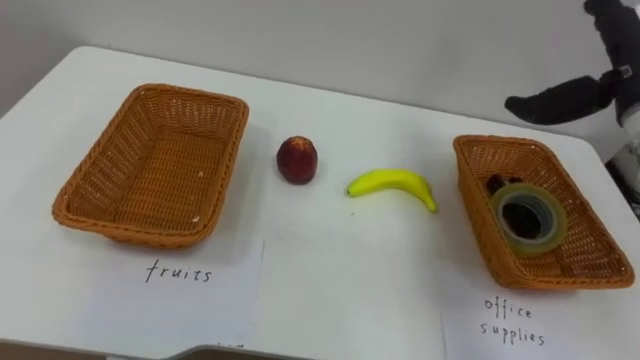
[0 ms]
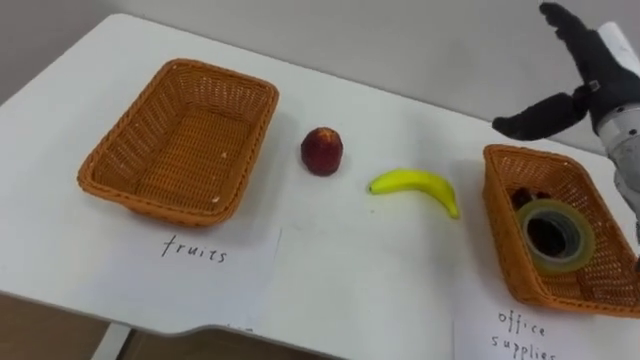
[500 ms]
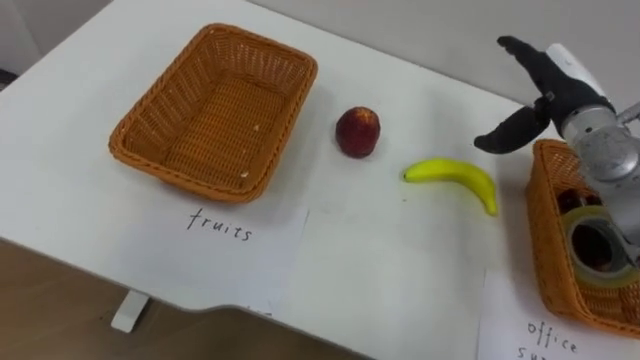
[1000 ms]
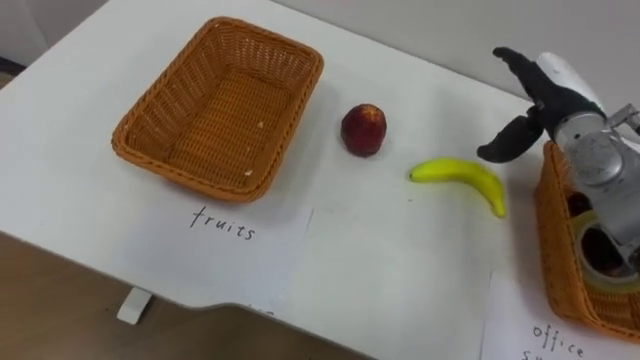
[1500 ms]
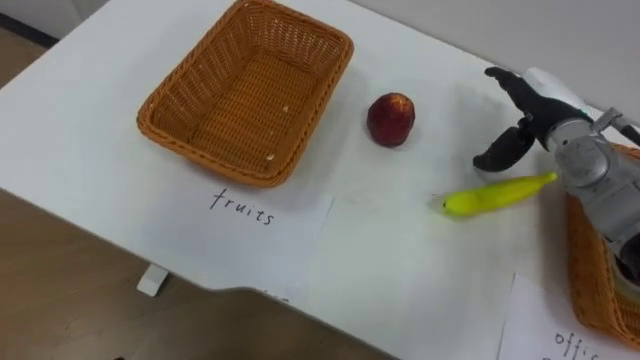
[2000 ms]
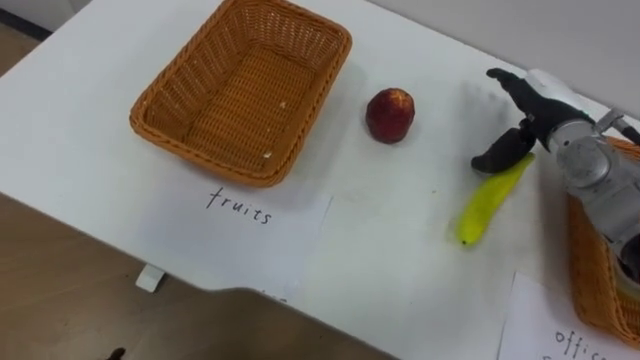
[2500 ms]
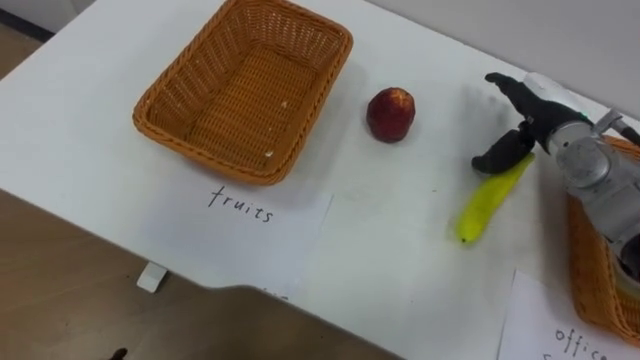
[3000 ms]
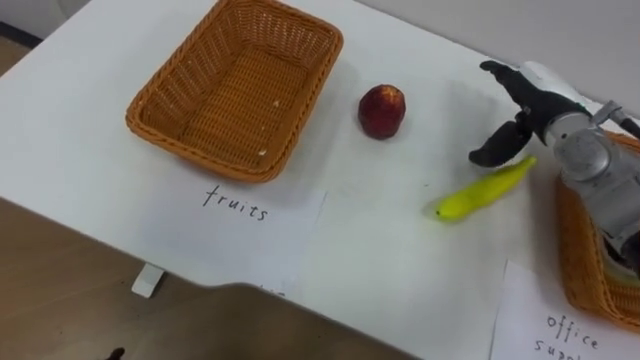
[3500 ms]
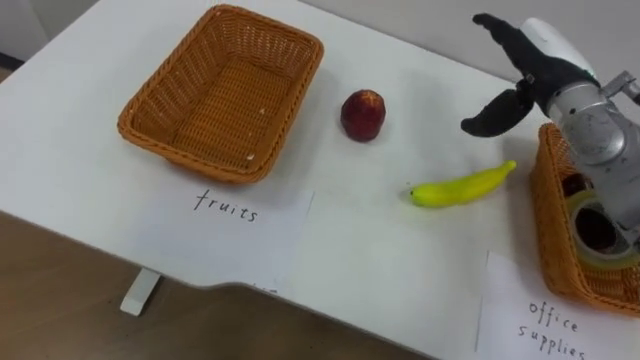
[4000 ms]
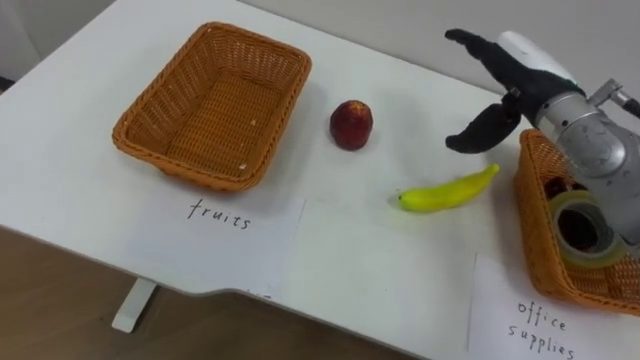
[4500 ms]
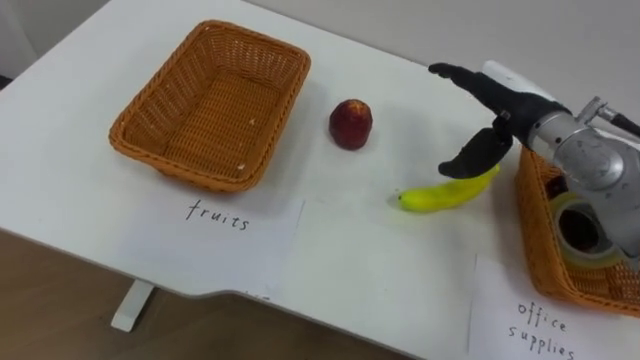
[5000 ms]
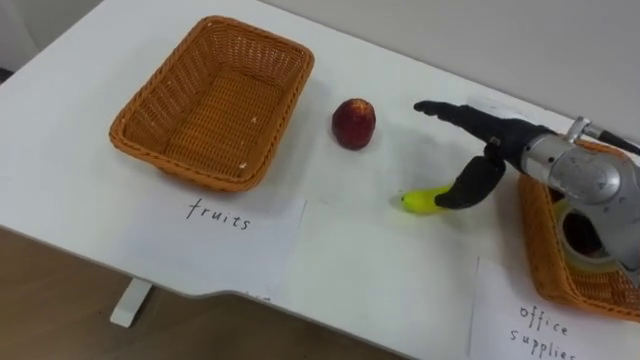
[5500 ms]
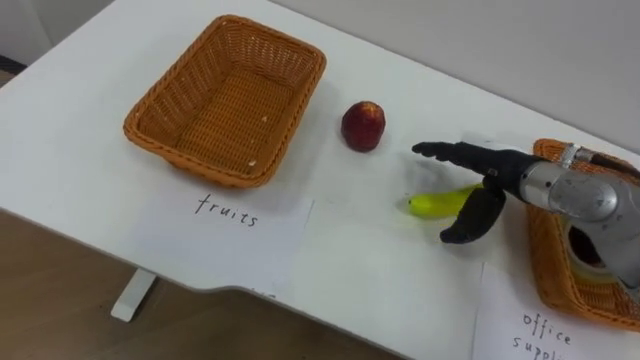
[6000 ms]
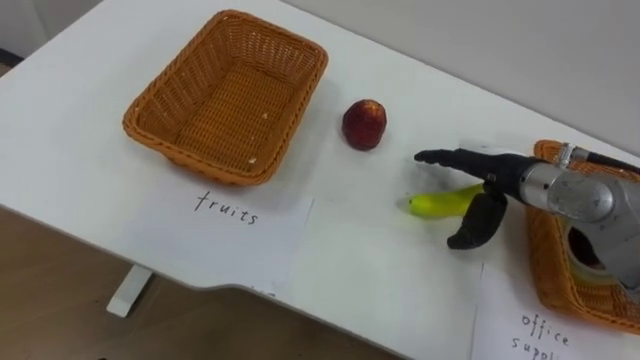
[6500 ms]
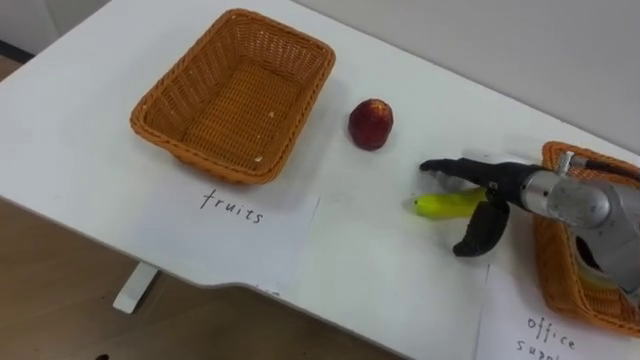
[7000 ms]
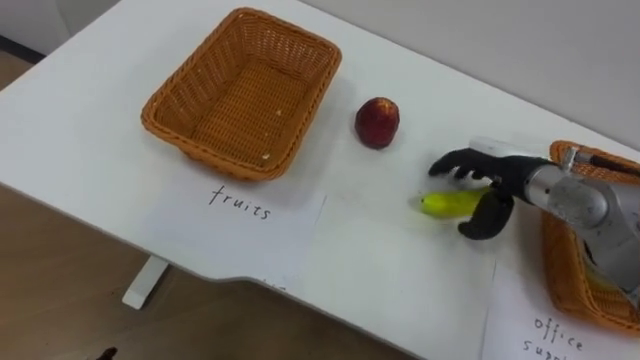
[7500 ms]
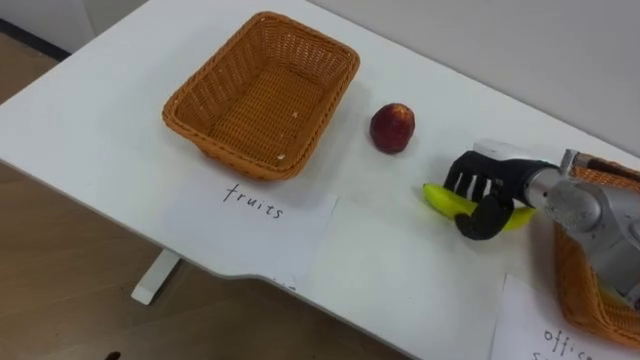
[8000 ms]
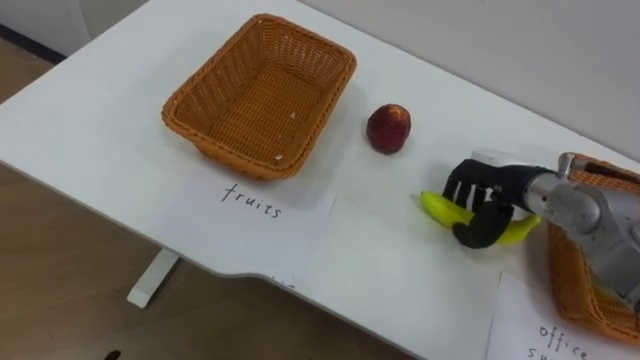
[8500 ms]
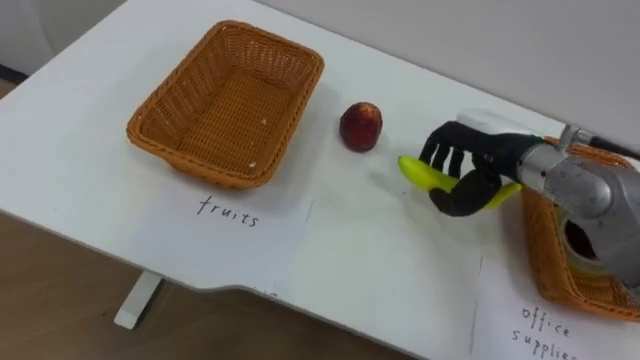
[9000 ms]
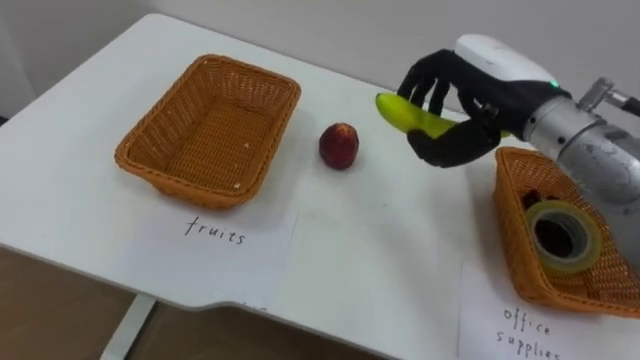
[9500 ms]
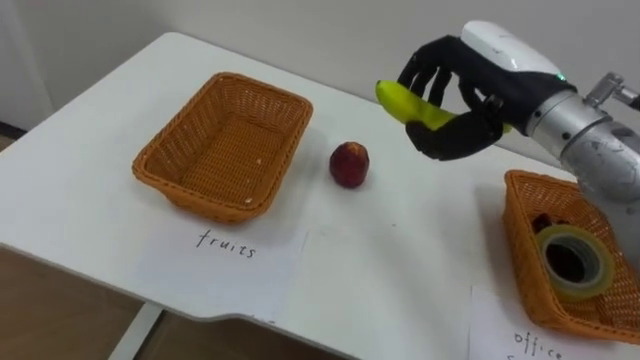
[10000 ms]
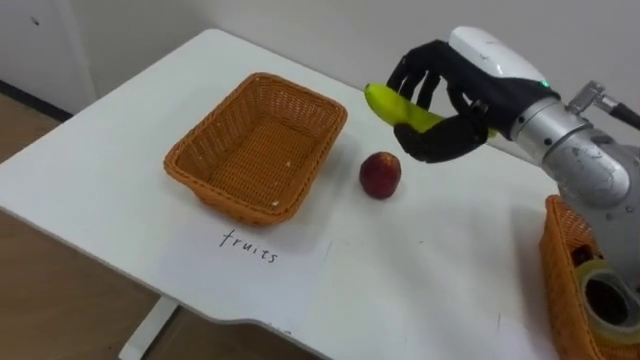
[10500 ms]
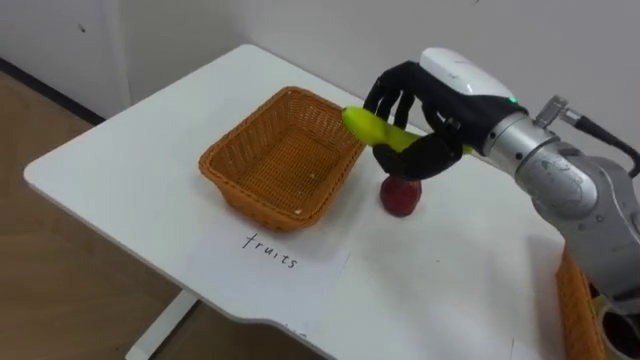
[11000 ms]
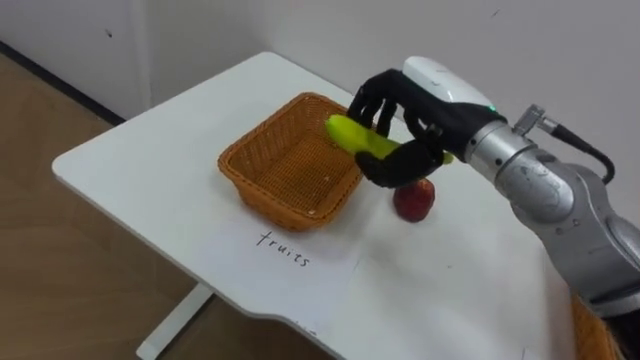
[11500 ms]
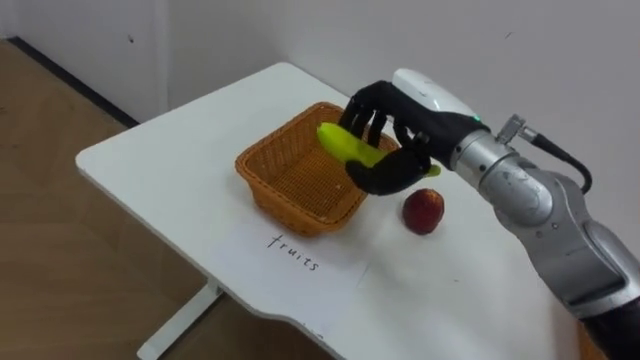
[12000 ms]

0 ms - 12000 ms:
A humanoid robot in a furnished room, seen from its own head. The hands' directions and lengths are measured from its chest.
Task of the whole recording: Separate the items on the table and place them into the two baskets.
0 ms - 2000 ms: The right hand moves downward, about 10 cm.
2000 ms - 4000 ms: The right hand heads upward, covering approximately 5 cm.
4000 ms - 6000 ms: The right hand travels downward and backward by approximately 10 cm.
6000 ms - 8000 ms: The right hand closes its fingers.
8000 ms - 10000 ms: The right hand heads upward, covering approximately 15 cm.
10000 ms - 12000 ms: The right hand heads to the left, covering approximately 5 cm.

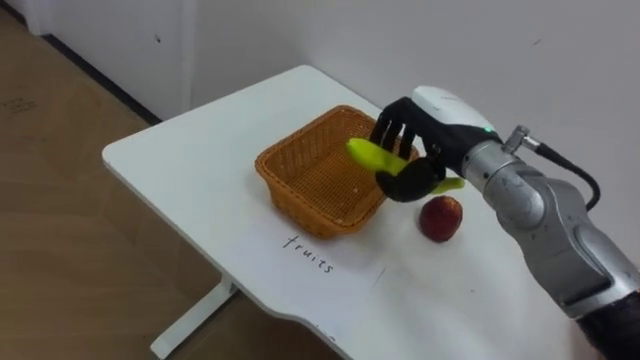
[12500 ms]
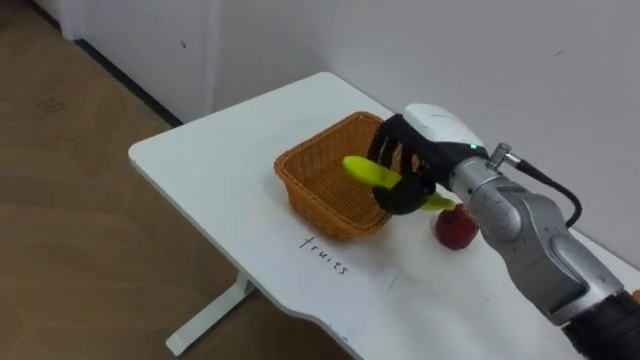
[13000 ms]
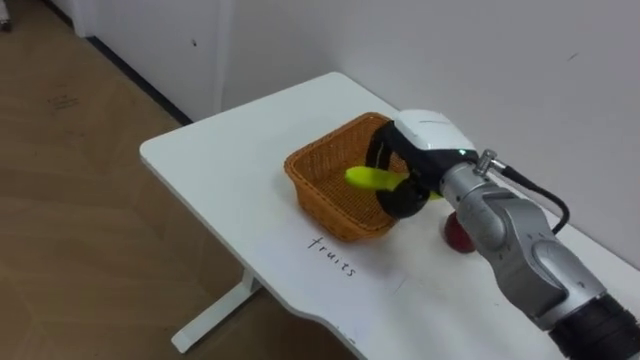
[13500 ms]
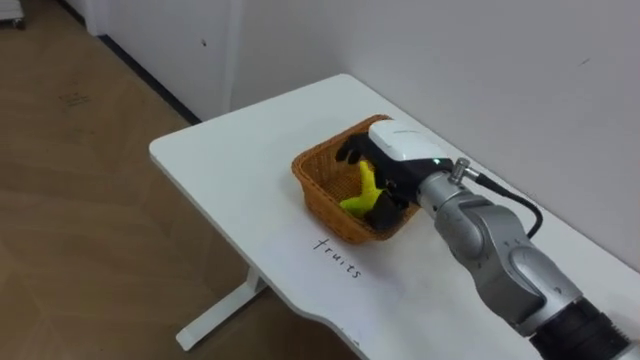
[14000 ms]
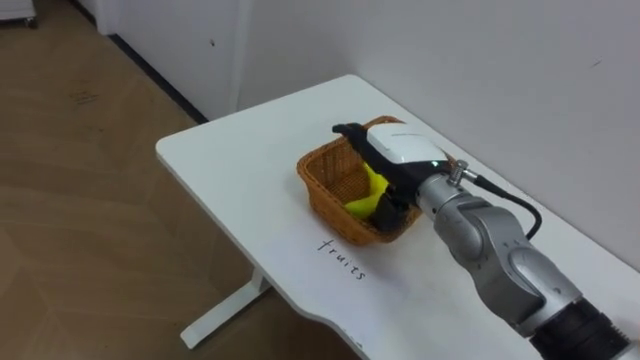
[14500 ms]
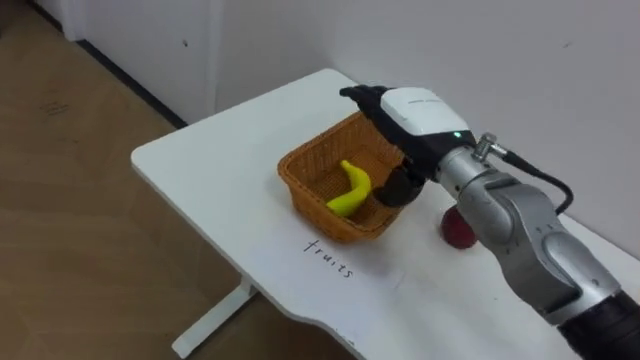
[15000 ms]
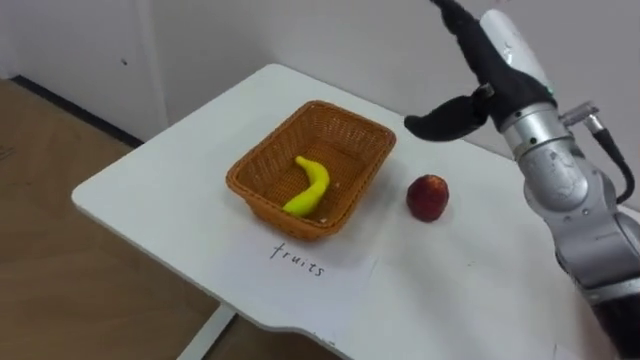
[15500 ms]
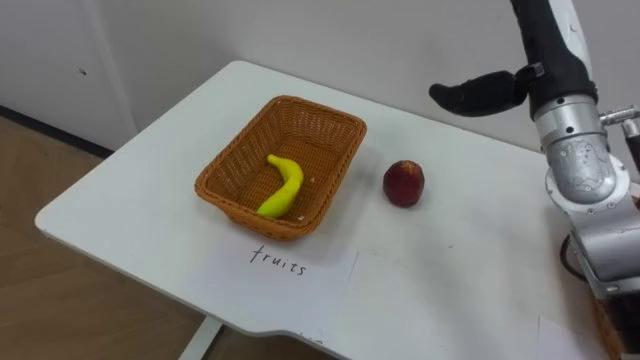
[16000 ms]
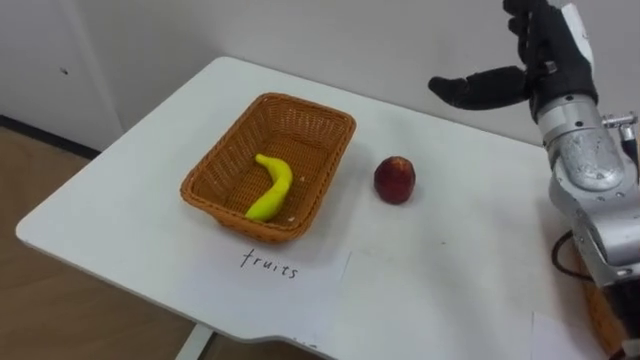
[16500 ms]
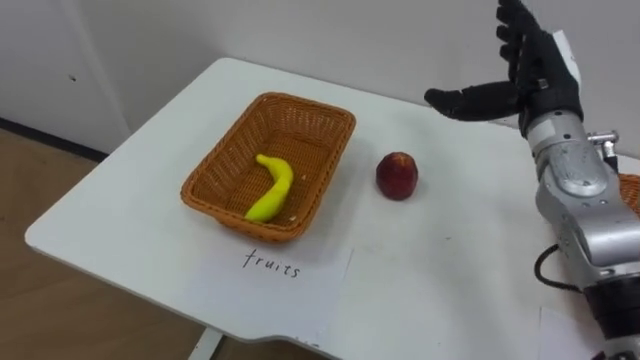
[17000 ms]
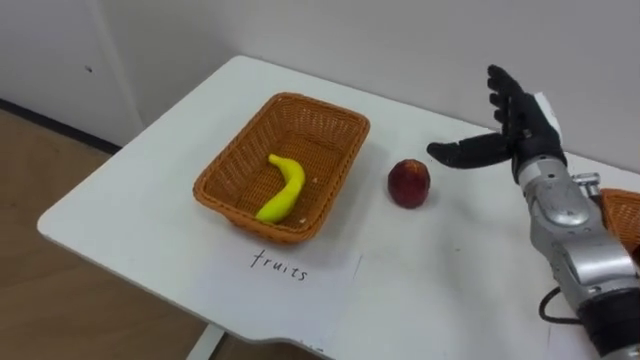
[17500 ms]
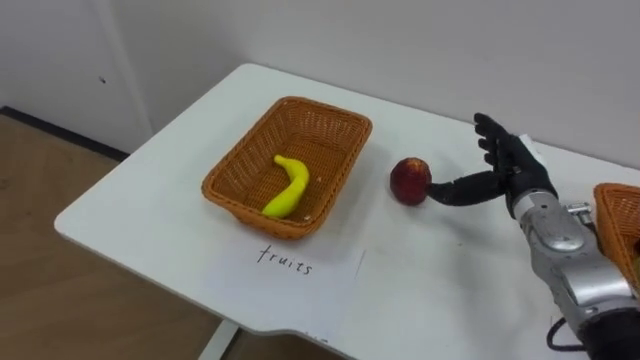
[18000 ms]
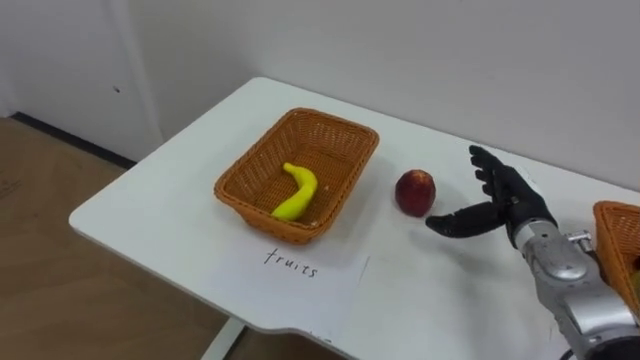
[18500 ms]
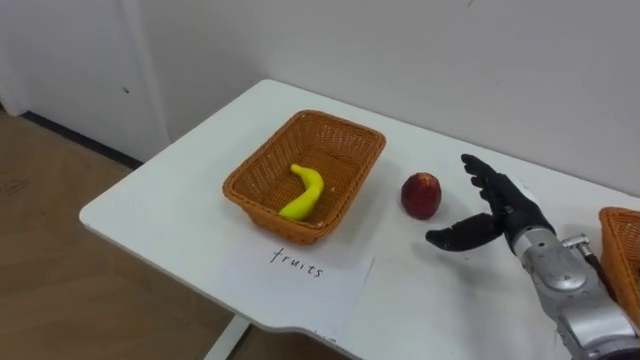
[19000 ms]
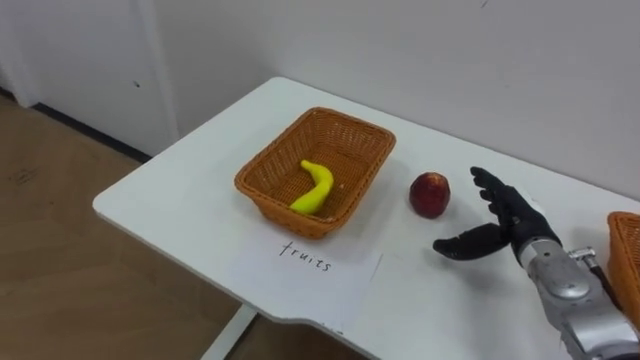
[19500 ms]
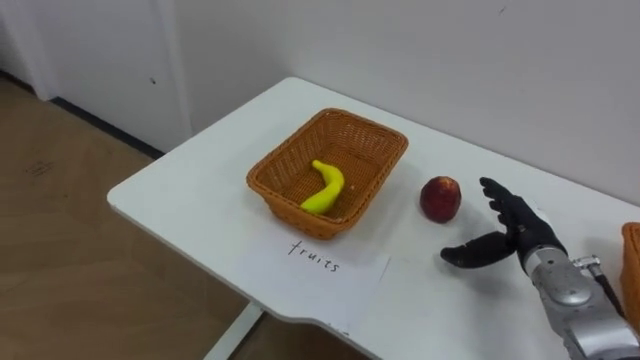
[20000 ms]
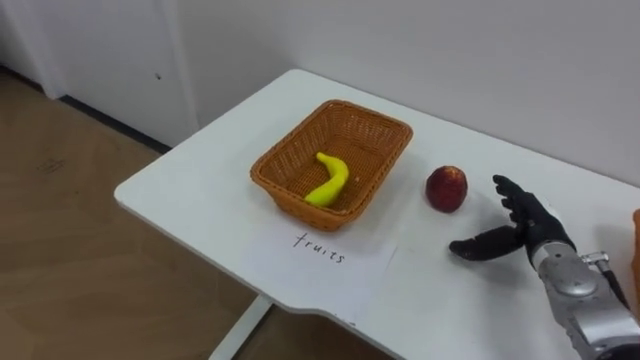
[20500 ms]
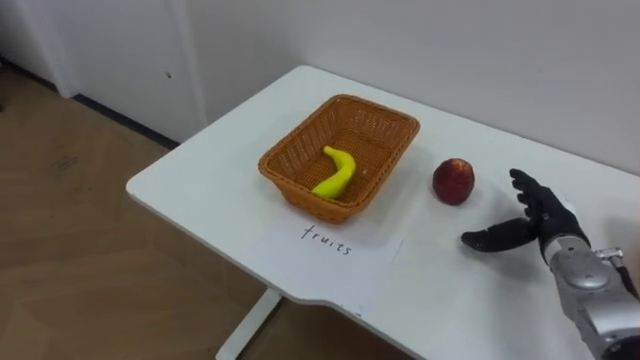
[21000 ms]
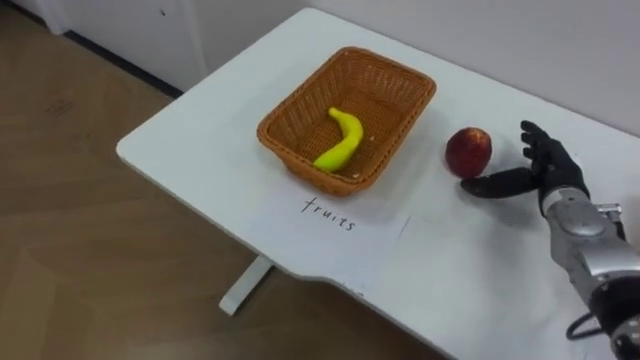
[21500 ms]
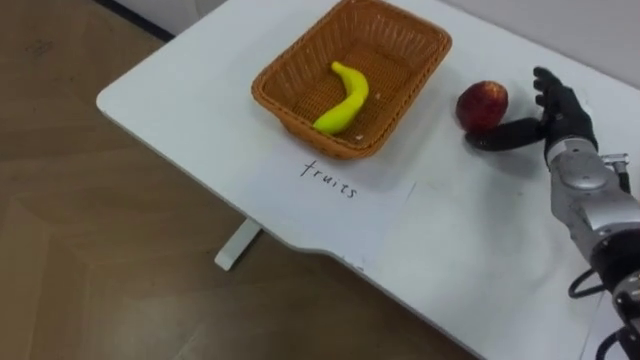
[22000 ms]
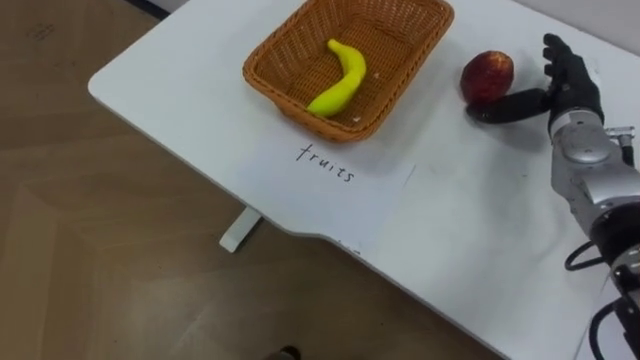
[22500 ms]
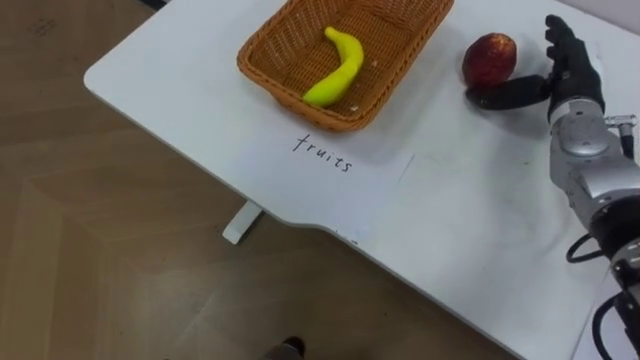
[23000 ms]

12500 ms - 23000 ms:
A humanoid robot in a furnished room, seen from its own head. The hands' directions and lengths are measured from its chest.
Task of the whole recording: Separate the items on the table and place them into the two baskets.
12500 ms - 14500 ms: The right hand moves some 5 cm, and opens its fingers.
14500 ms - 16500 ms: The right hand is displaced to the right and upward by about 20 cm.
16500 ms - 19000 ms: The right hand goes approximately 20 cm downward.
19000 ms - 21000 ms: The right hand goes approximately 5 cm to the right.
21000 ms - 23000 ms: The right hand goes some 20 cm upward and forward.
